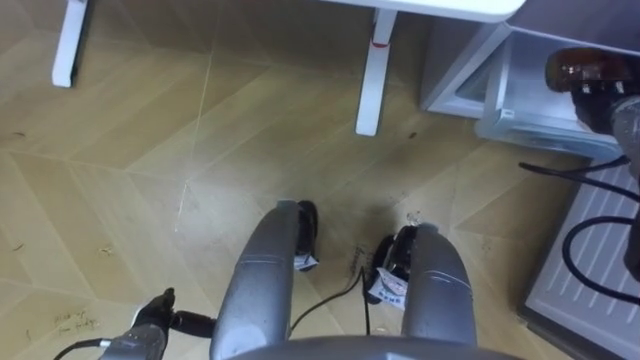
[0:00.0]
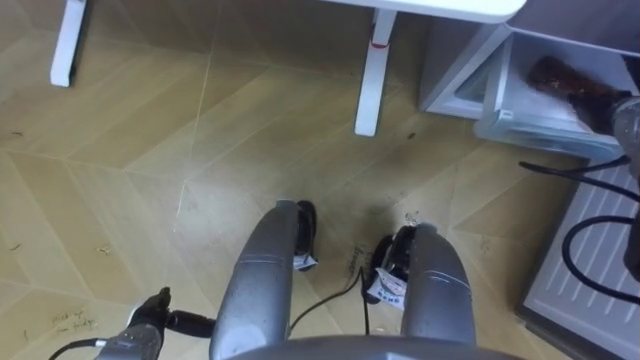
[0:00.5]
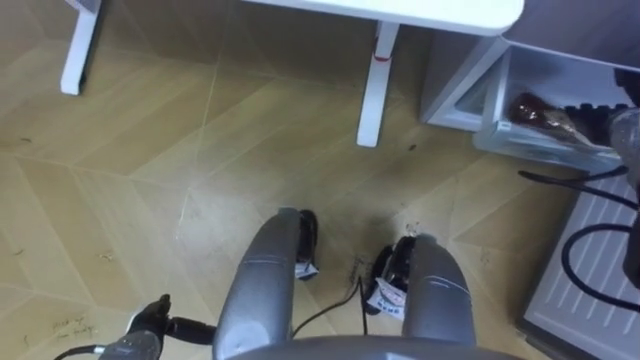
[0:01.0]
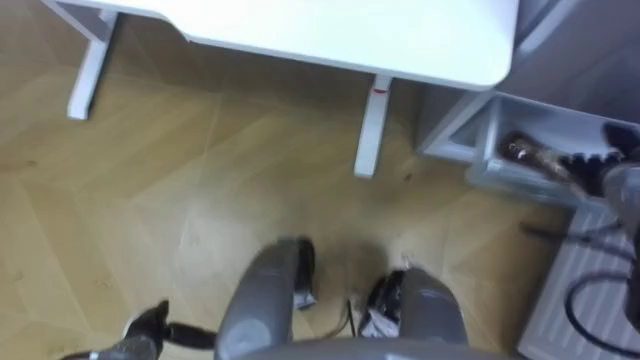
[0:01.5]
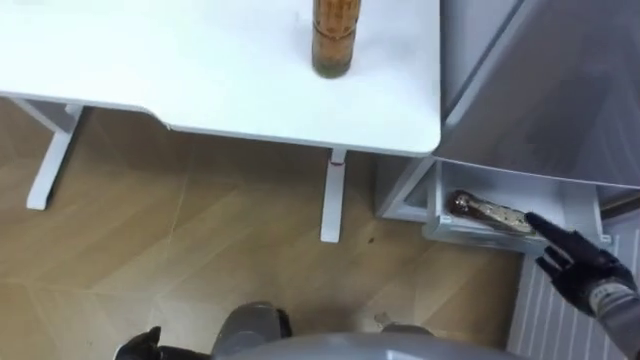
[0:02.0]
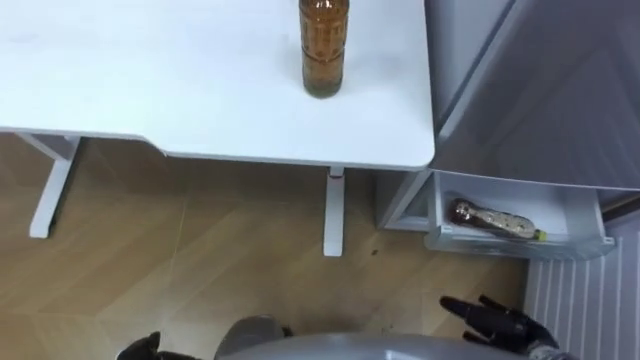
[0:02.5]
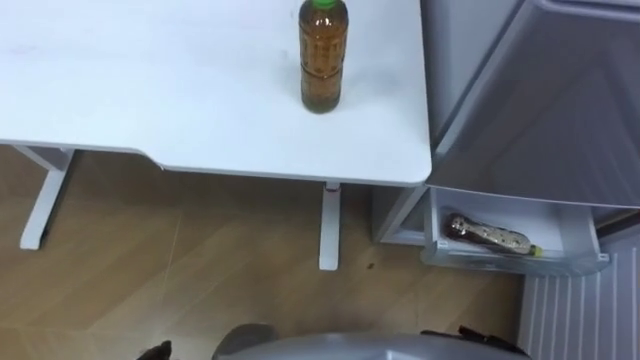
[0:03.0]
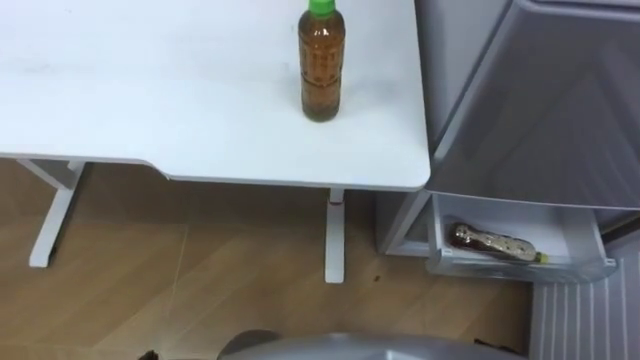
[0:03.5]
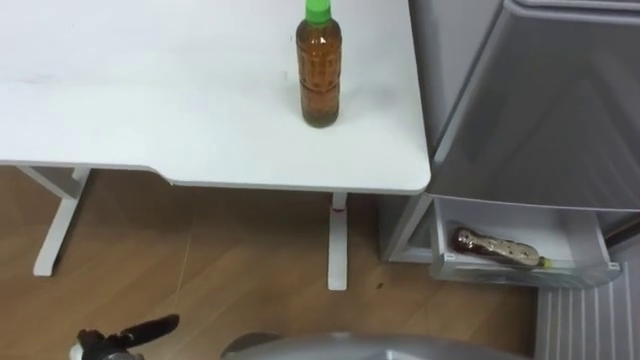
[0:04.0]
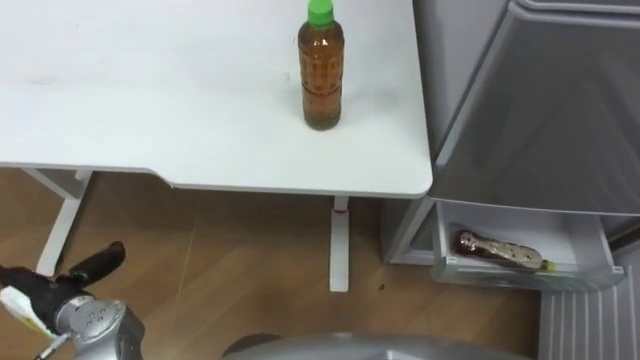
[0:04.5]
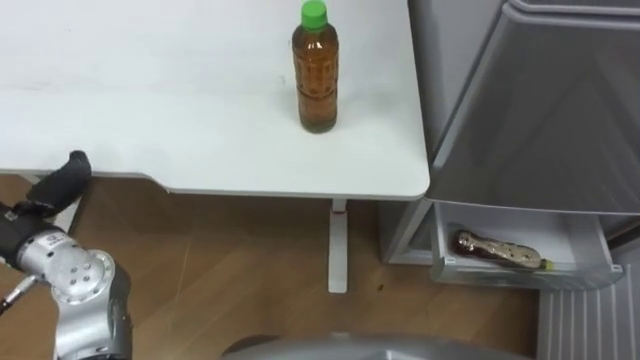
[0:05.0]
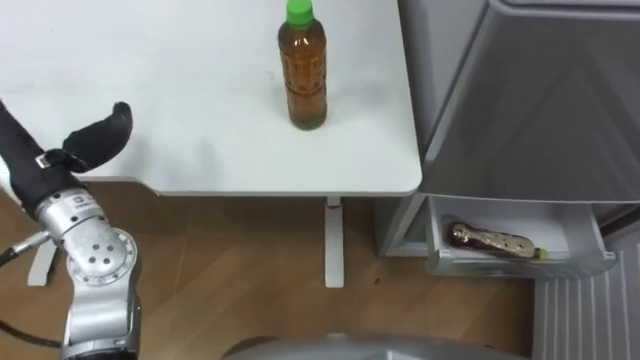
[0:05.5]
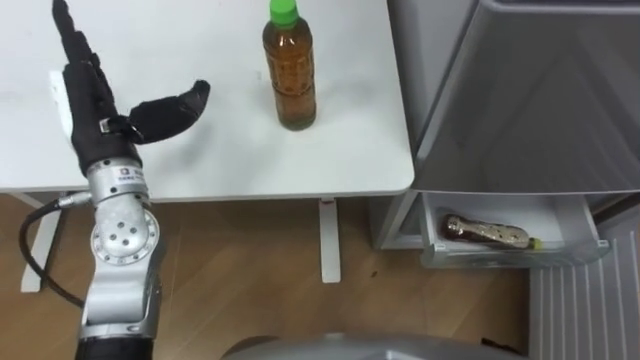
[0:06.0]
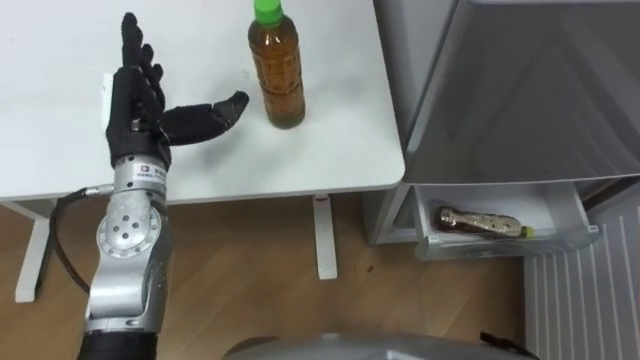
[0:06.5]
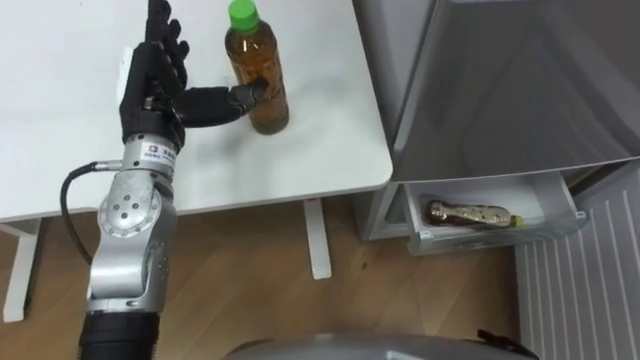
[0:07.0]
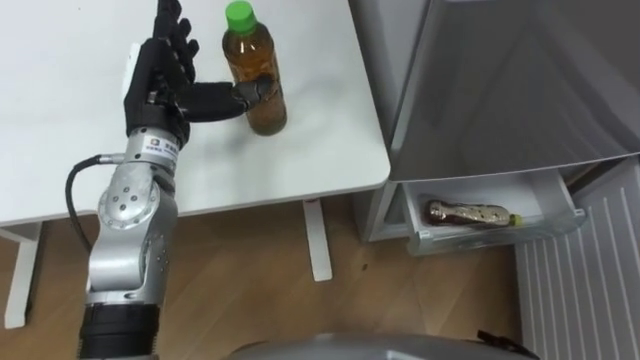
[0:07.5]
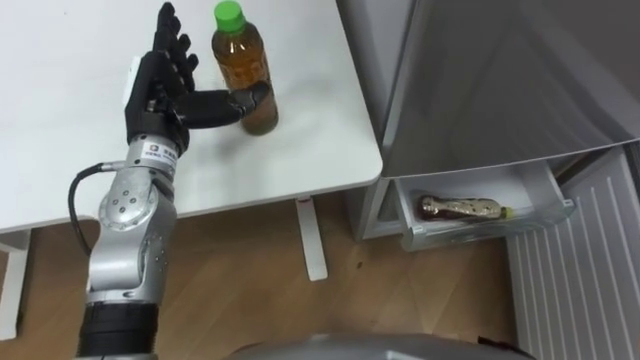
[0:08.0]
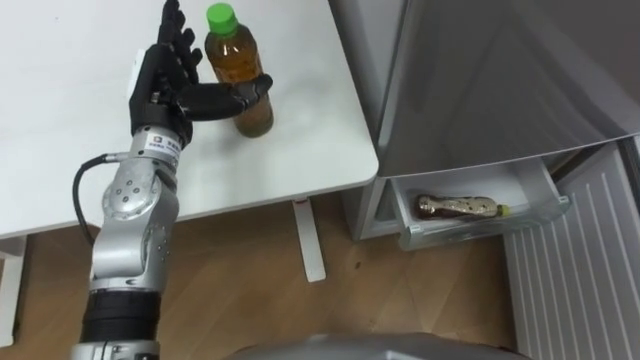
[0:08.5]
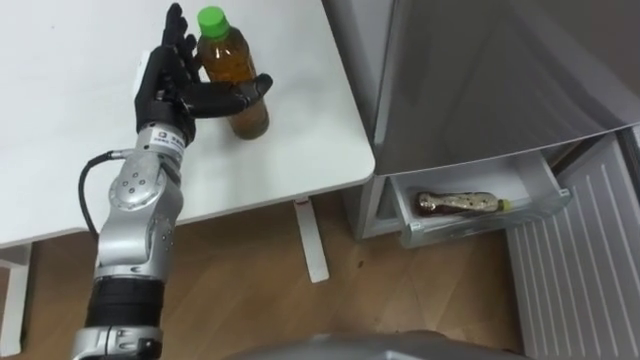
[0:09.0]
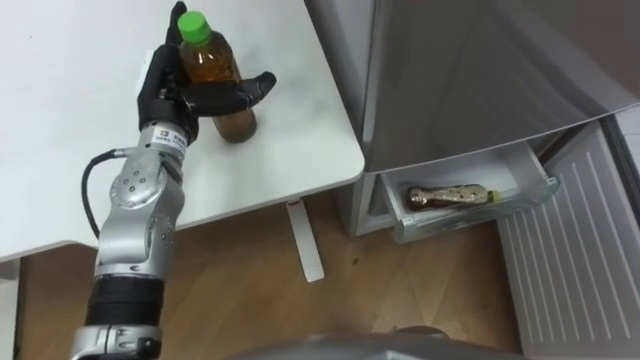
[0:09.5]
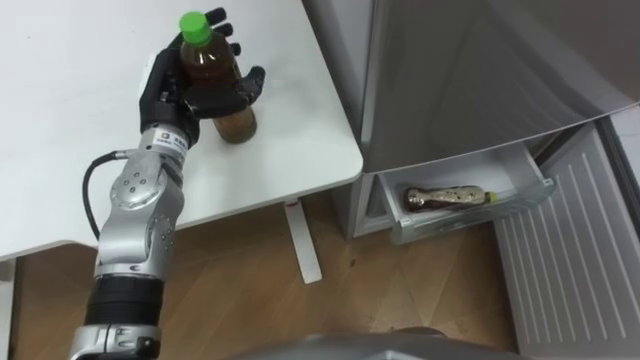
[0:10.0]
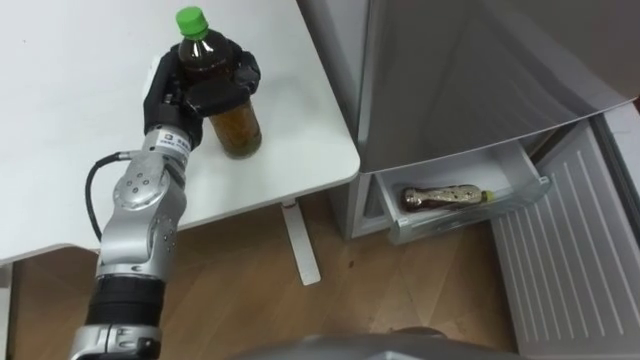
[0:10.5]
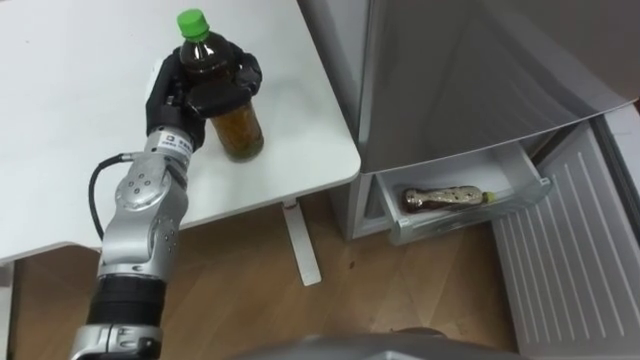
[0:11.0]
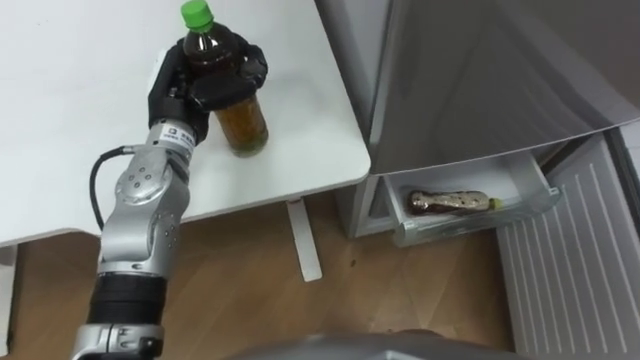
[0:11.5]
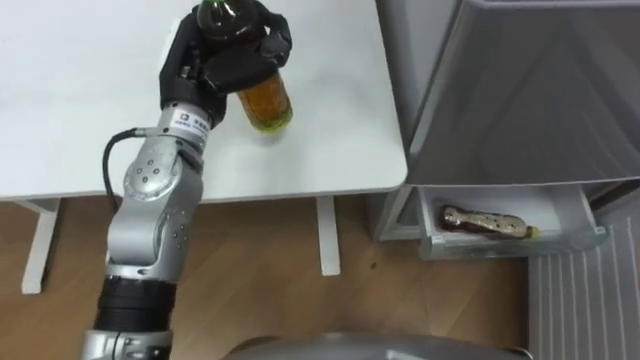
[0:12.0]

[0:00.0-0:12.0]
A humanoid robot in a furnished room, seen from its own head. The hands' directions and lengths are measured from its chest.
Task of the whole recording: Place the drink on the table on the bottom shelf of the refrigerator, then close the drawer and the refrigerator door.
0:00.0 to 0:02.0: The right hand travels backward and downward by approximately 25 cm.
0:06.0 to 0:08.0: The left hand moves to the right, roughly 5 cm.
0:10.0 to 0:12.0: The left hand ends up approximately 5 cm from where it was, and closes its fingers.

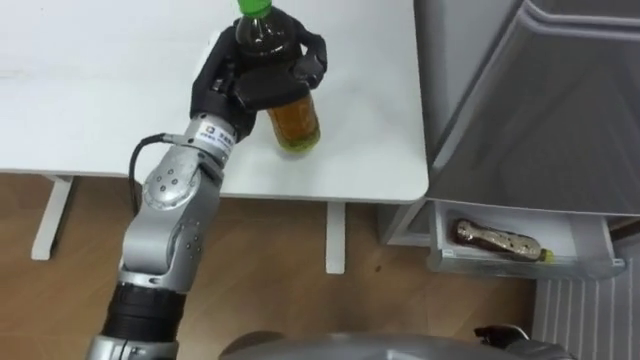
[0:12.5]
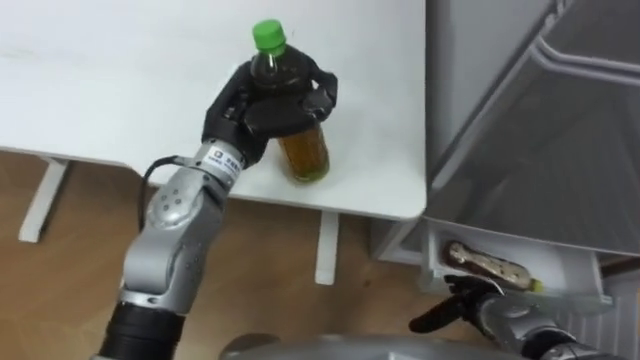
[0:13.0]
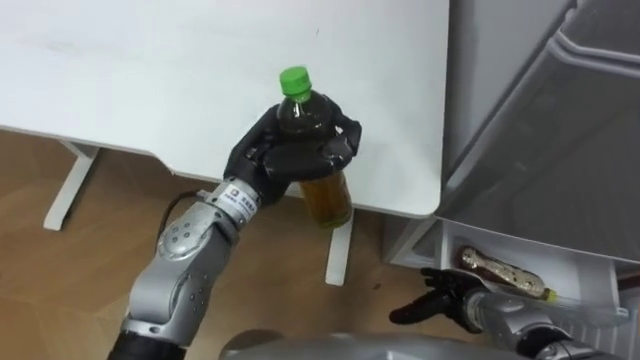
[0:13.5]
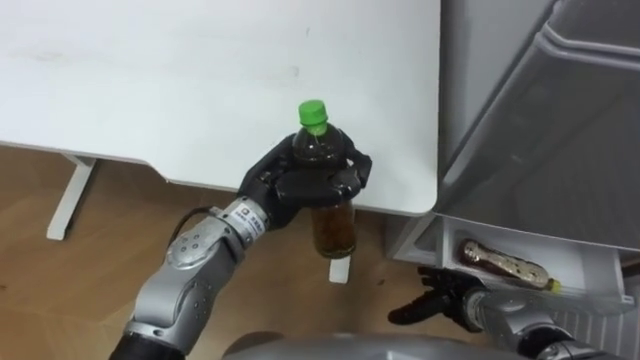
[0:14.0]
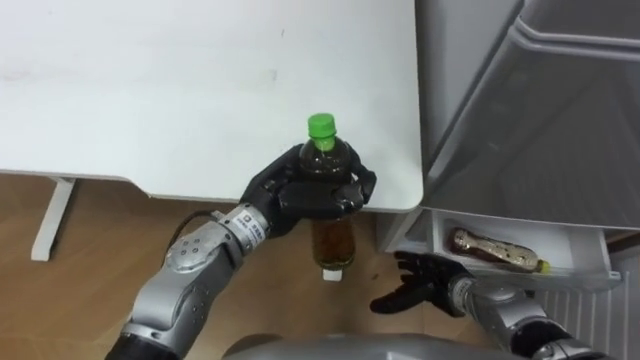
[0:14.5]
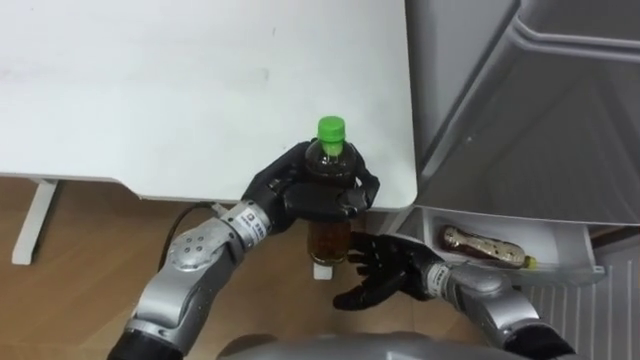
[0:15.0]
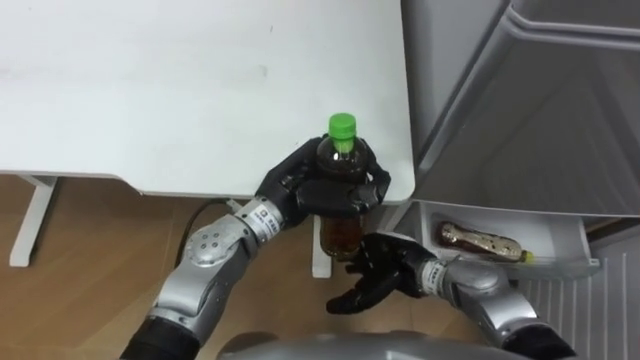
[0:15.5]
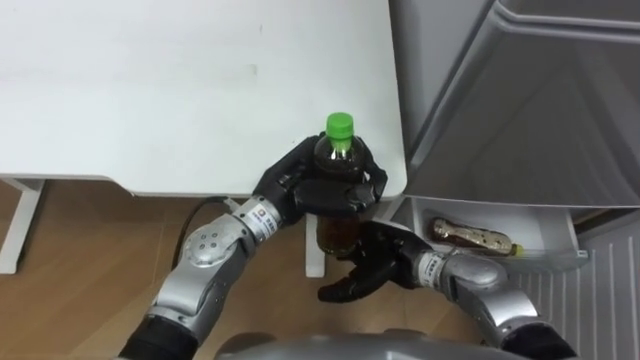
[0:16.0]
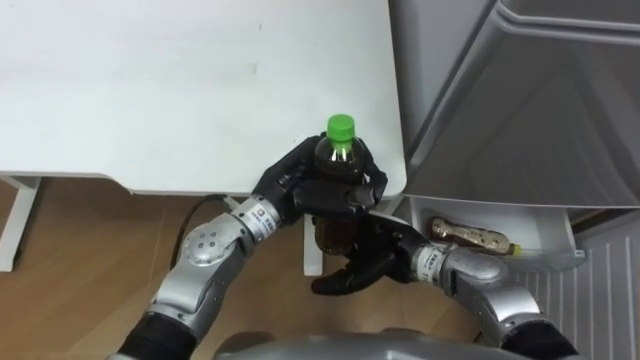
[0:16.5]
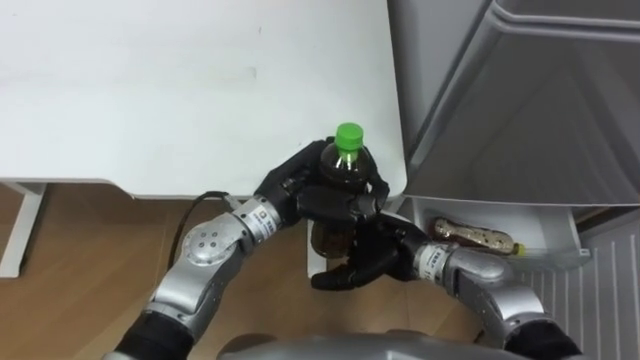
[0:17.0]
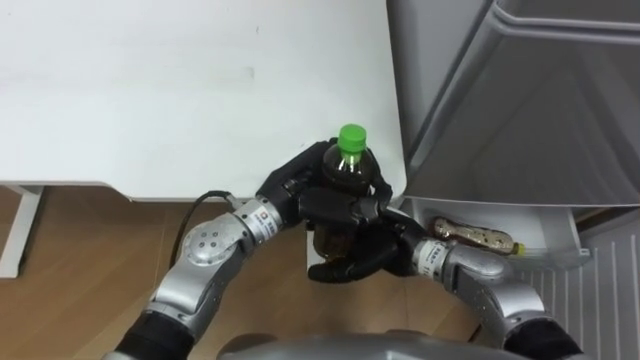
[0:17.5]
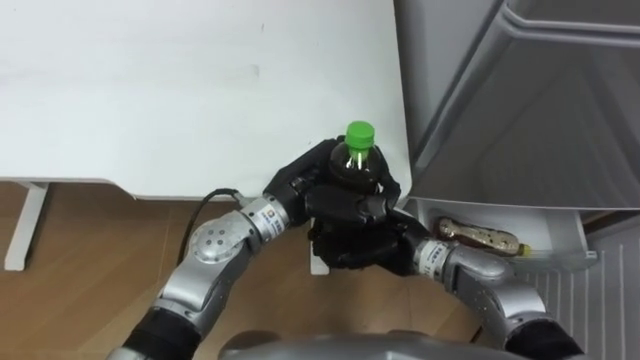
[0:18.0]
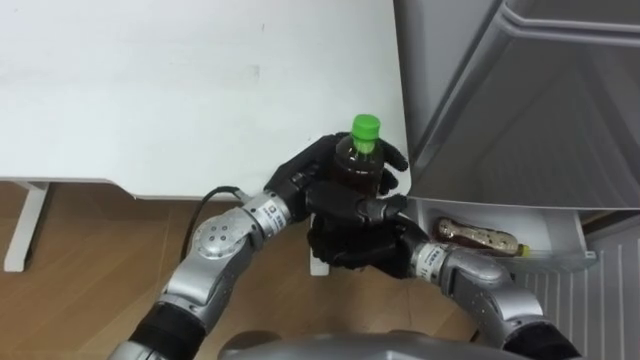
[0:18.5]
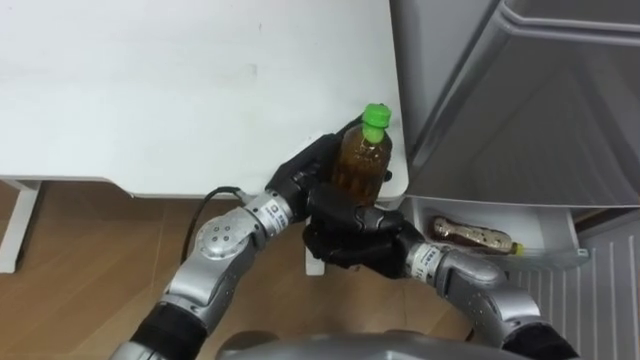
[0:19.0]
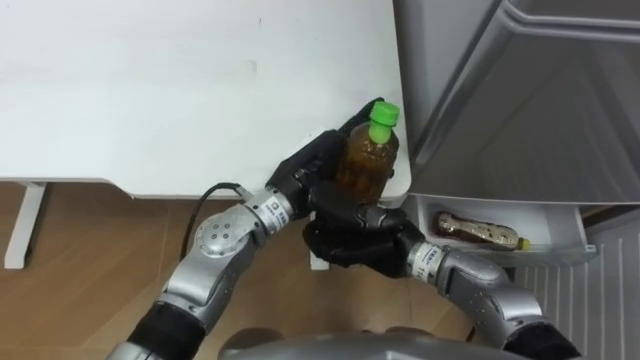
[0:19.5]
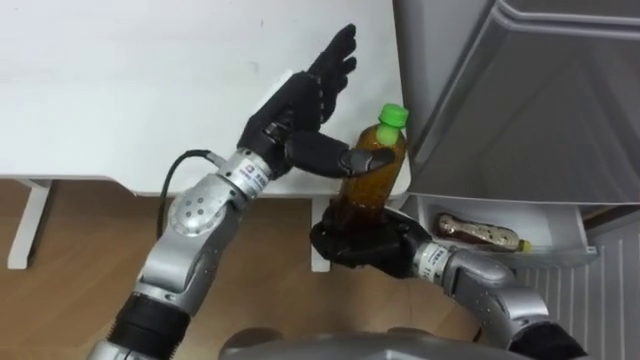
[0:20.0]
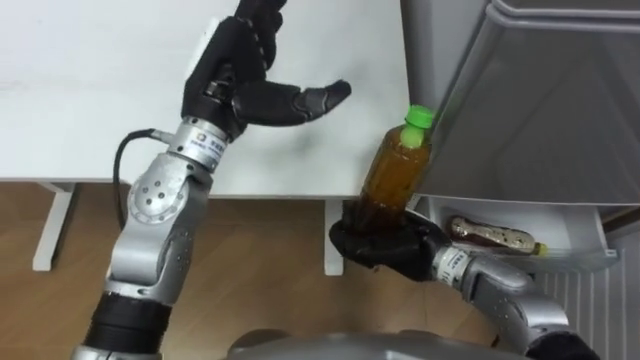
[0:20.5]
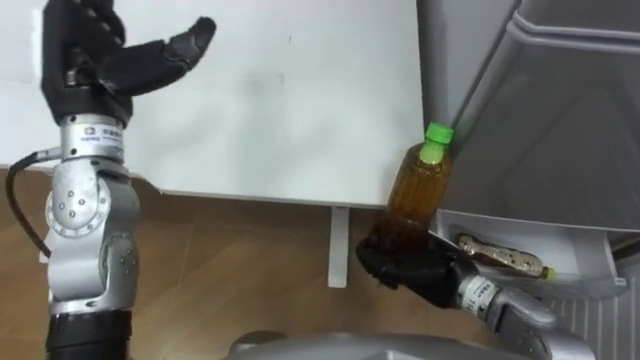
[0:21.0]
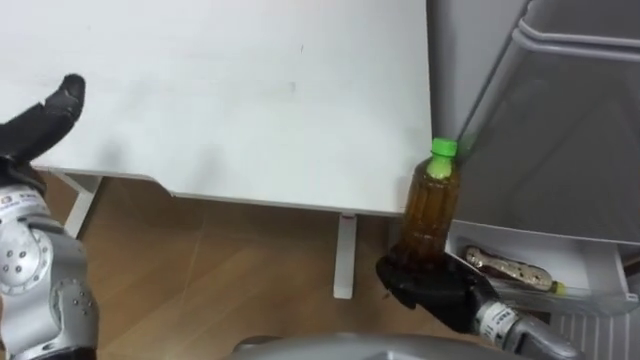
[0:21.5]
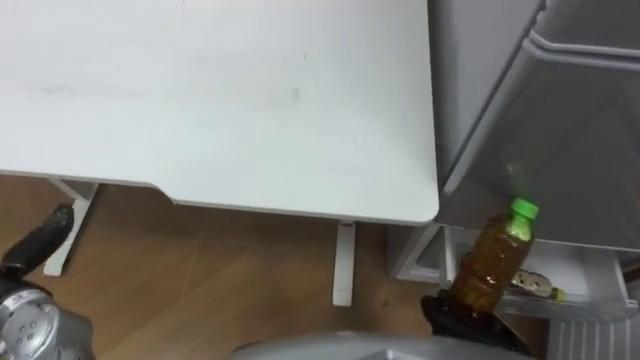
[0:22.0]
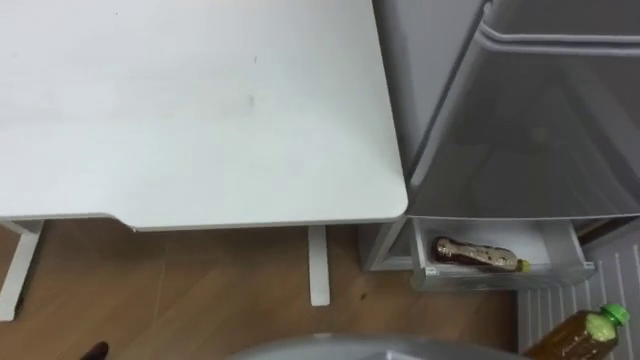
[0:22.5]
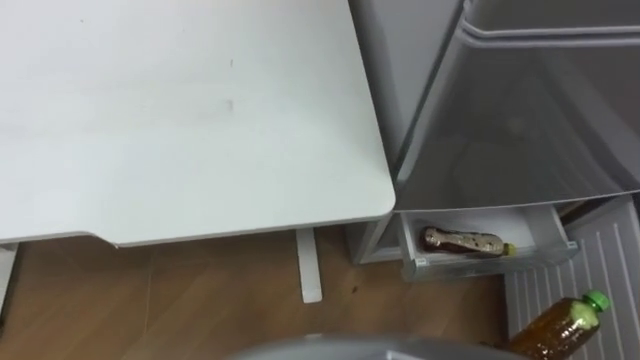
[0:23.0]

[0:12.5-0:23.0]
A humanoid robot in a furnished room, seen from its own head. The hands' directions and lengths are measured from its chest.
Task of the whole recording: Place the drink on the table on the bottom shelf of the refrigerator, then close the drawer and the refrigerator door.
0:12.5 to 0:14.5: The left hand is displaced downward, backward and to the right by about 15 cm. Meanwhile the right hand travels forward and to the left by some 15 cm.
0:14.5 to 0:16.5: The right hand travels to the left and upward by about 15 cm.
0:16.5 to 0:19.0: The left hand opens up. Meanwhile the right hand closes its fingers.
0:19.0 to 0:21.0: The left hand is displaced to the left and upward by about 25 cm. Meanwhile the right hand moves to the right, about 10 cm.
